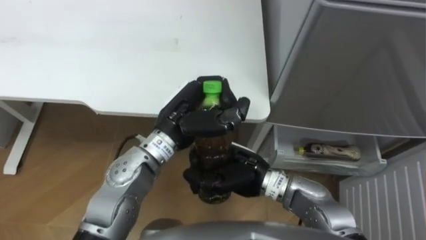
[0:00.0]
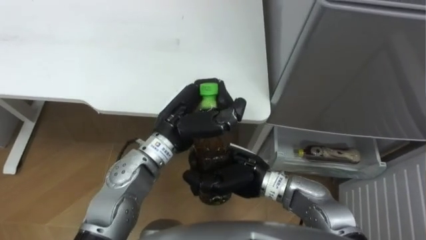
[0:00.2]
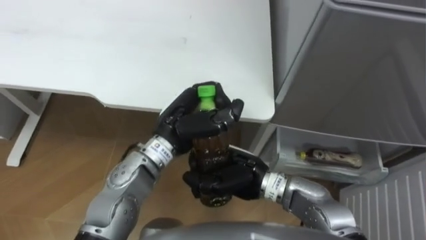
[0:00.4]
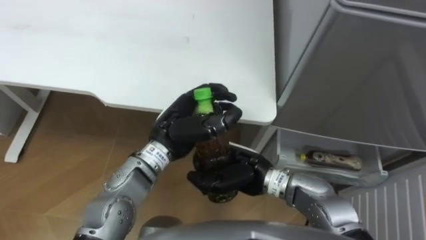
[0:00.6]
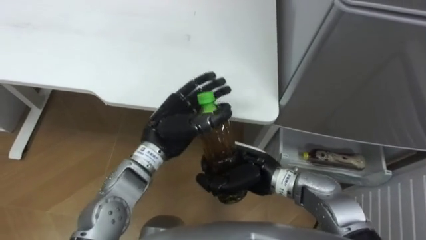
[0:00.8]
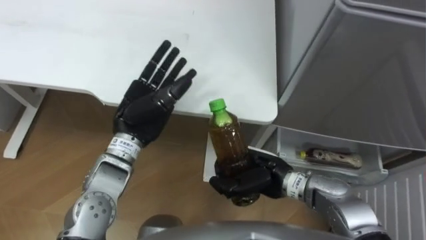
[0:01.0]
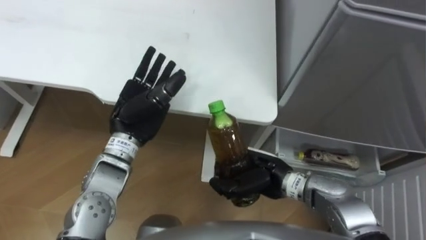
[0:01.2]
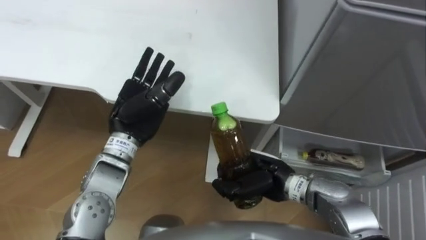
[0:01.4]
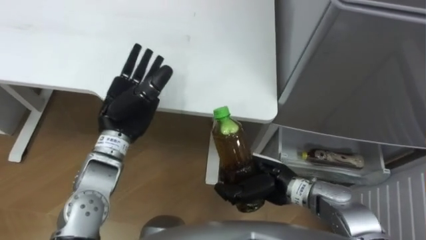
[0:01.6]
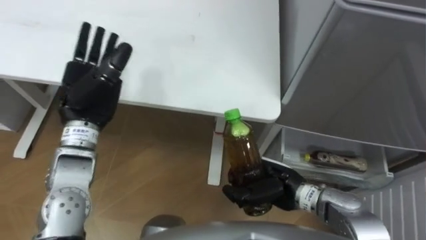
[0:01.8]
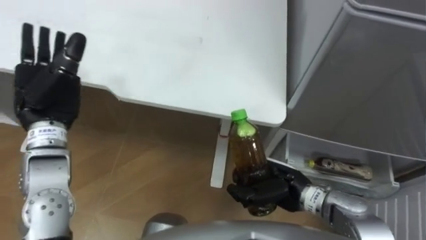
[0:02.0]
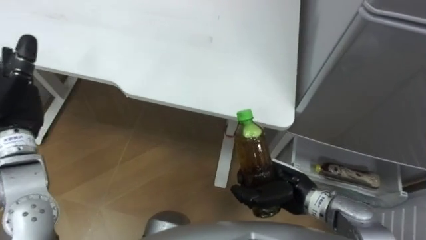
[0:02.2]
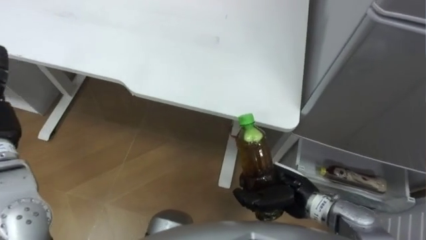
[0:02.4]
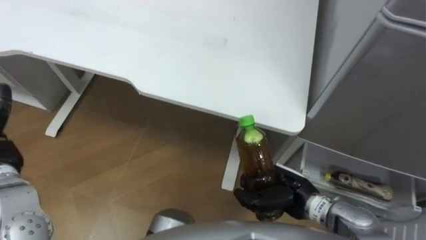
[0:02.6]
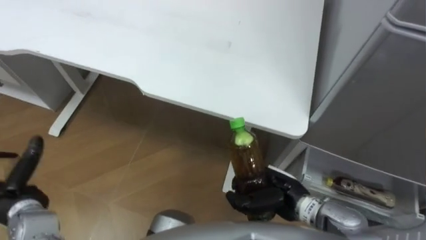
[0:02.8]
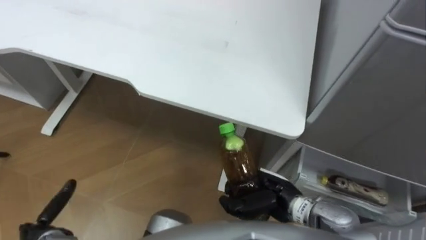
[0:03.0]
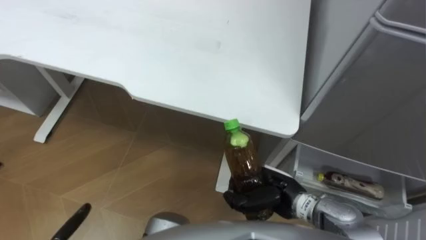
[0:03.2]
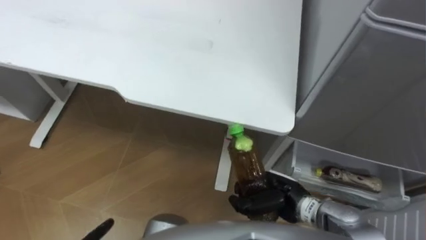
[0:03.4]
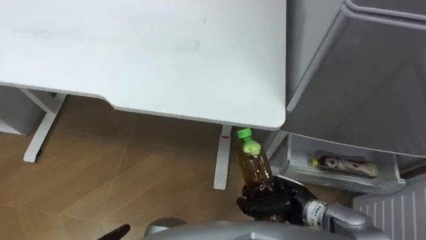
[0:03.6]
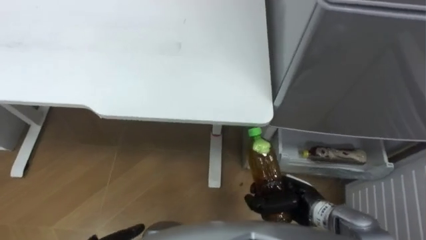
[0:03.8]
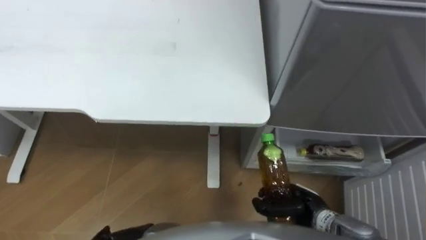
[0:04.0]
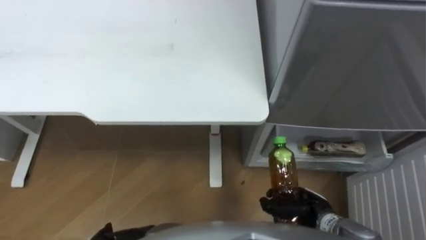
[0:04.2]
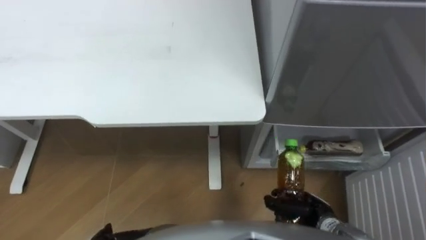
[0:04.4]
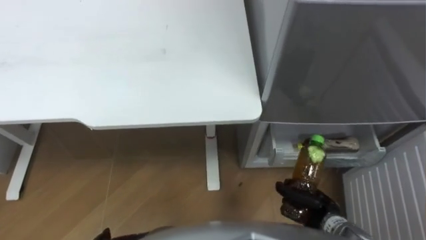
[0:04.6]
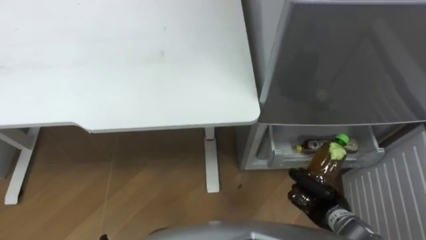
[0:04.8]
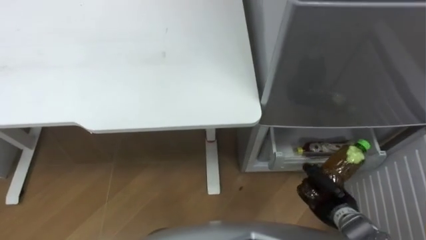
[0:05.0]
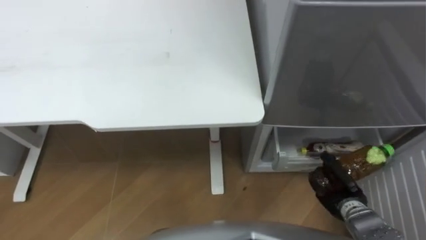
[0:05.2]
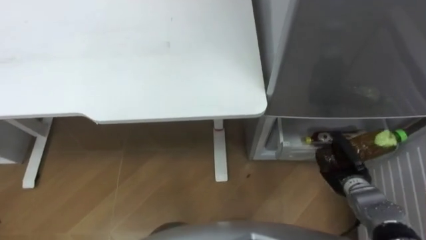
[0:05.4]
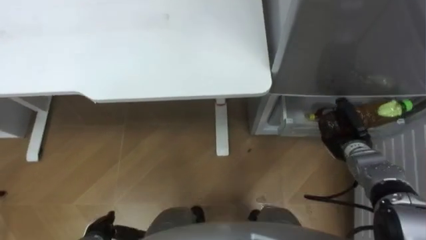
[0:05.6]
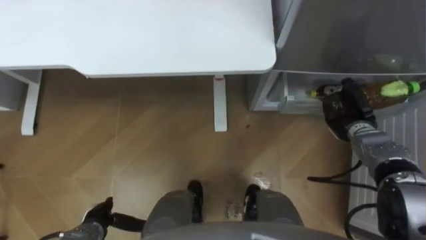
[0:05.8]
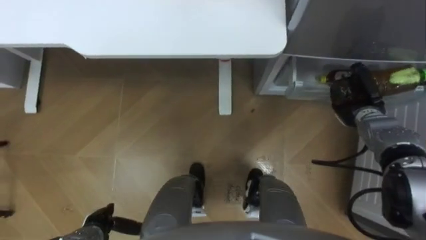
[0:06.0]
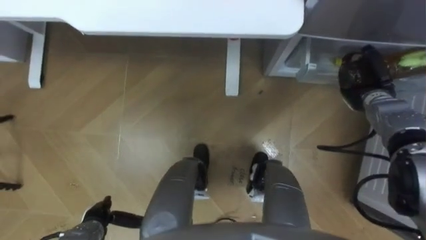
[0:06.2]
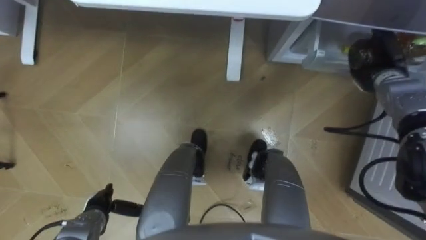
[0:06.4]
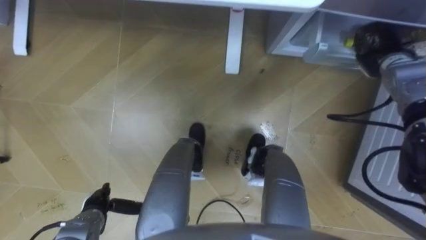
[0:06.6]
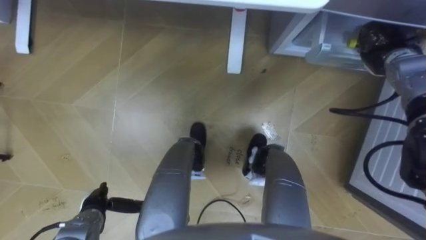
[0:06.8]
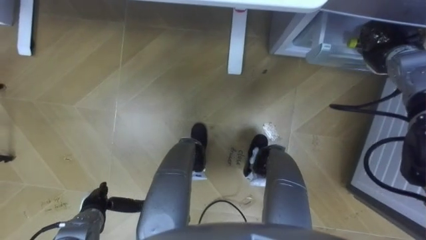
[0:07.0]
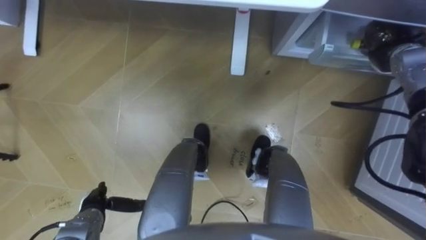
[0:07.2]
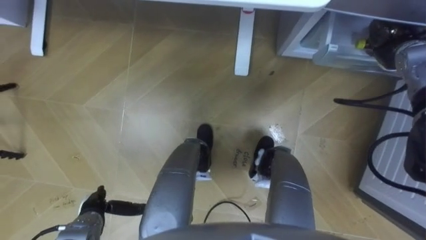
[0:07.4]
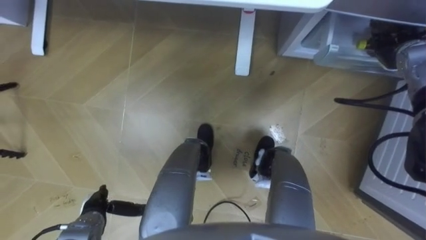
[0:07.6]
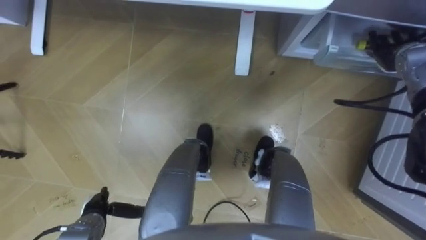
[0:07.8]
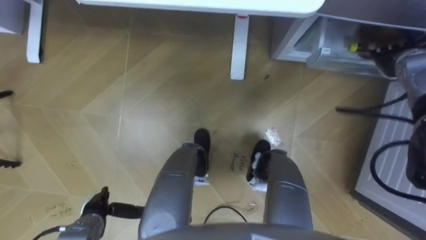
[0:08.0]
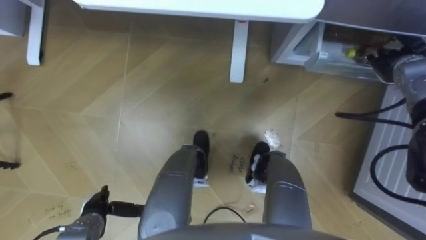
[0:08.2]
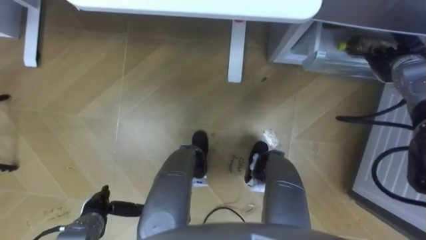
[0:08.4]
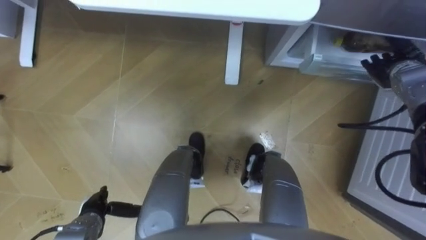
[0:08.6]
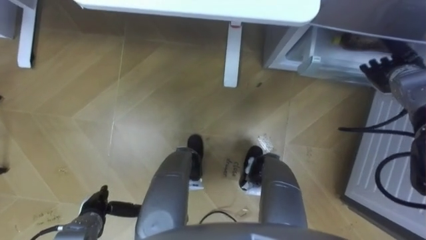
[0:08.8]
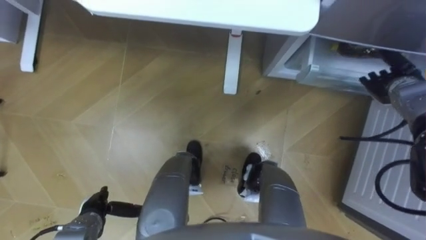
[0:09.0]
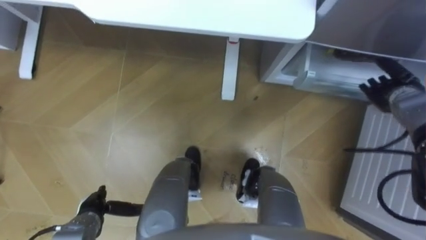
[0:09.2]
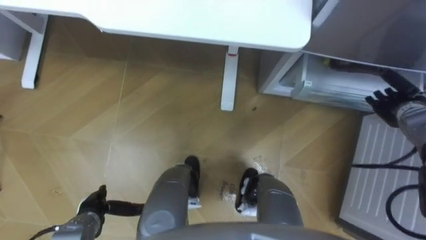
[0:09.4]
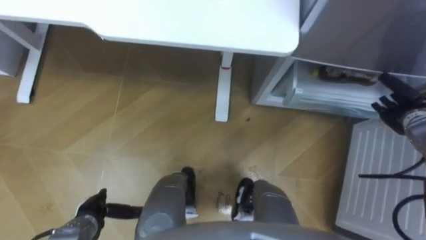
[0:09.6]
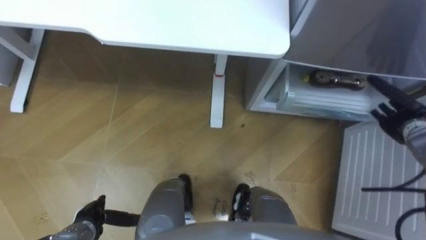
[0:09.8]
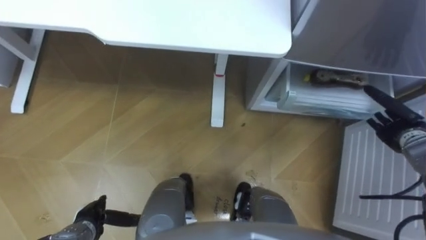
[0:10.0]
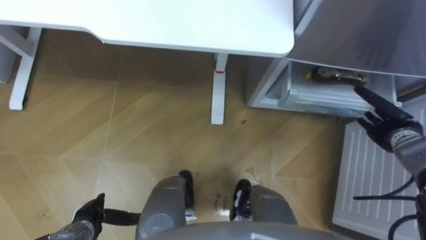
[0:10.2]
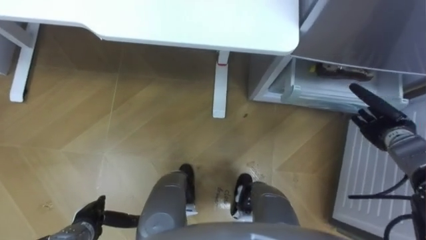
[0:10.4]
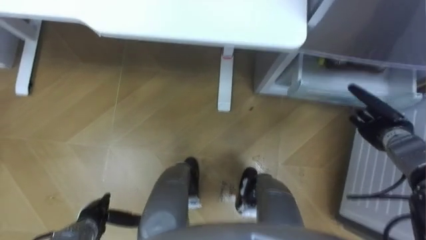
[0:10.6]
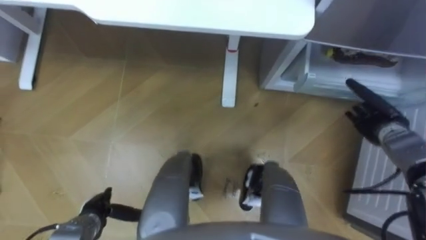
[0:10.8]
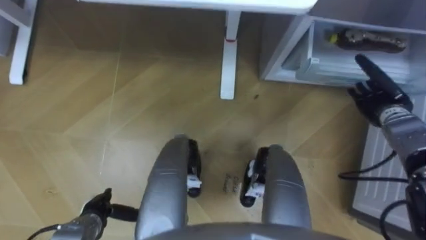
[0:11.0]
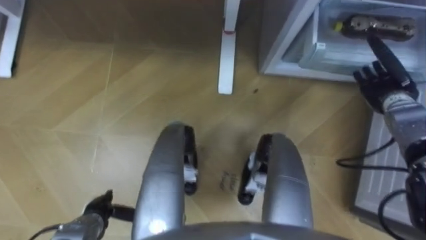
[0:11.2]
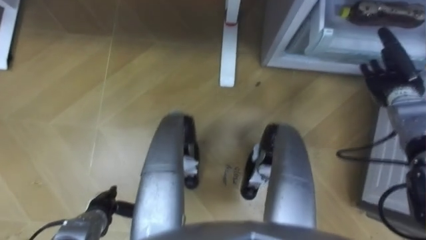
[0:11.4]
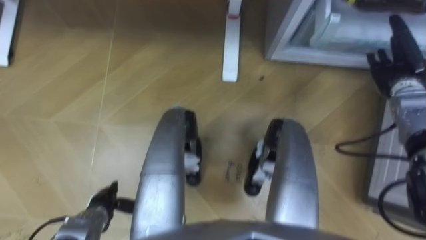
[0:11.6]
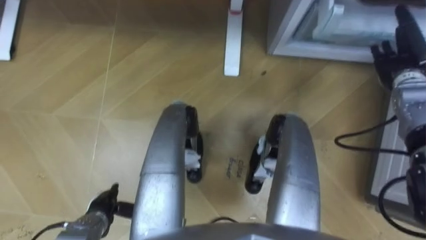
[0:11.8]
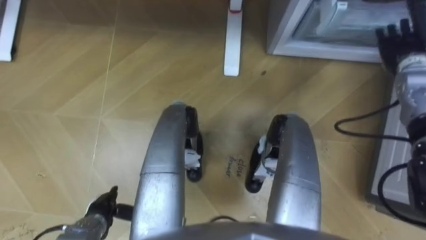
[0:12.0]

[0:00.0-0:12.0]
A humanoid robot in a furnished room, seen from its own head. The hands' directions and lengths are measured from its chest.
Task of the whole recording: Place the drink on the table on the bottom shelf of the refrigerator, then close the drawer and the refrigerator door.
0:00.0 to 0:01.6: The right hand heads to the right and downward, covering roughly 10 cm. The left hand moves to the left, roughly 10 cm, and opens up.
0:03.0 to 0:04.4: The right hand heads to the right and downward, covering roughly 10 cm.
0:04.4 to 0:06.0: The right hand moves forward, to the right and upward, roughly 25 cm.
0:06.0 to 0:07.6: The right hand heads upward and forward, covering some 15 cm, and opens.
0:07.6 to 0:09.0: The right hand moves downward, approximately 5 cm.
0:09.0 to 0:10.4: The right hand heads backward and downward, covering approximately 10 cm.
0:10.4 to 0:12.0: The right hand goes about 15 cm upward and forward.

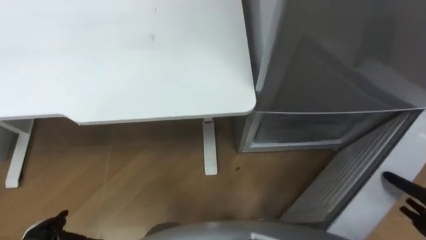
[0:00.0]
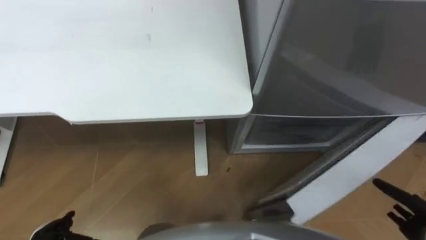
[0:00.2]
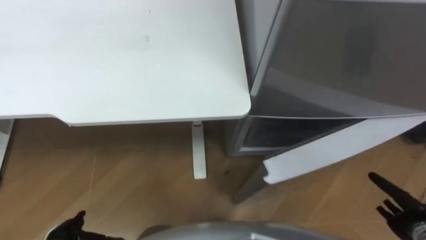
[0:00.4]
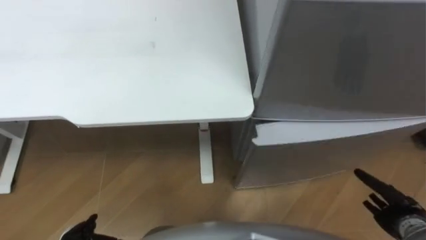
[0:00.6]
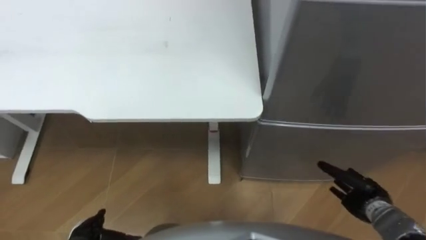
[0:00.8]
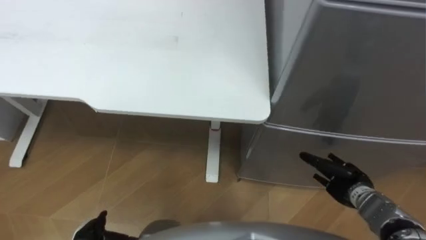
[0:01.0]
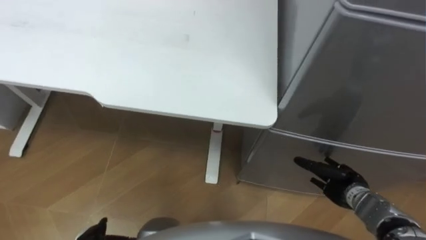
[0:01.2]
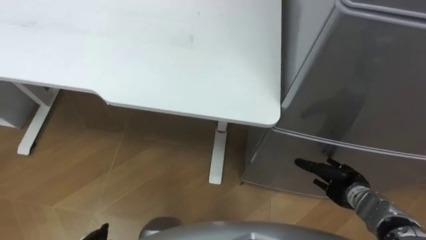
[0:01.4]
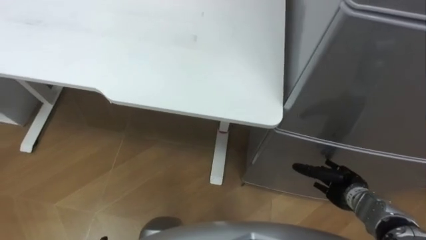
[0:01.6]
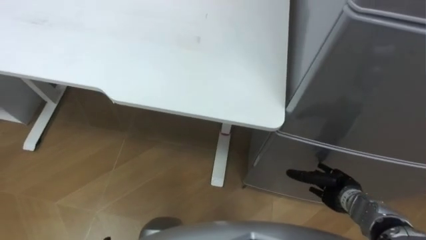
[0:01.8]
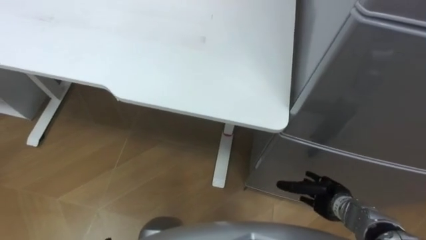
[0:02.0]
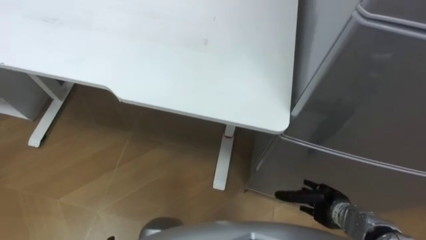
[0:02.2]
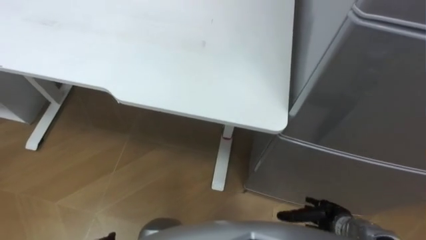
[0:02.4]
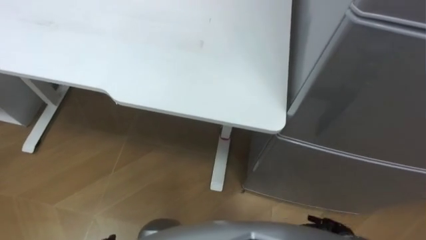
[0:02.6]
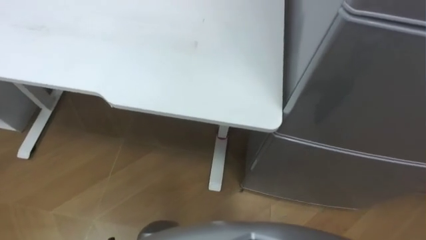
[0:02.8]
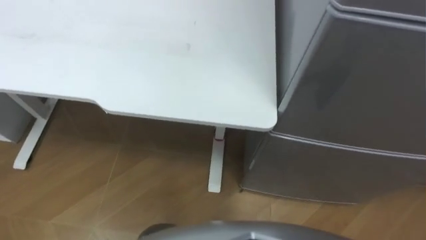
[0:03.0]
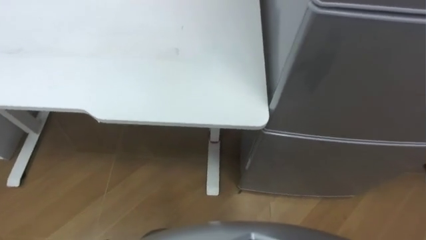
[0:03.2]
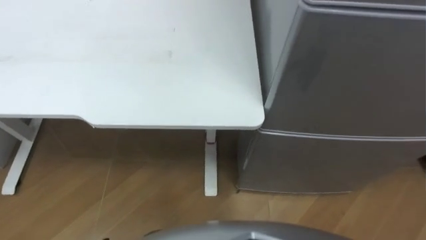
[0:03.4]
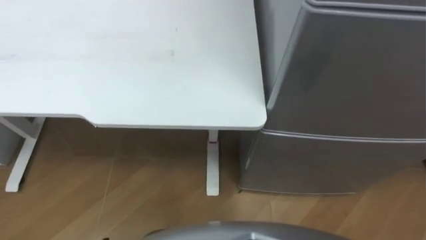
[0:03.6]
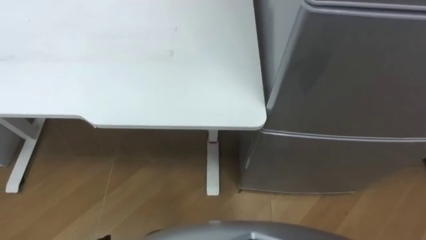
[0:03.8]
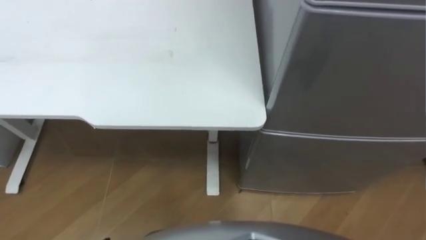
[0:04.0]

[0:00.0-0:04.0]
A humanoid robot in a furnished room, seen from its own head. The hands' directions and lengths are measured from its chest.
Task of the whole recording: Place the drink on the table on the bottom shelf of the refrigerator, then close the drawer and the refrigerator door.
0:01.4 to 0:02.6: The right hand goes about 10 cm backward.
